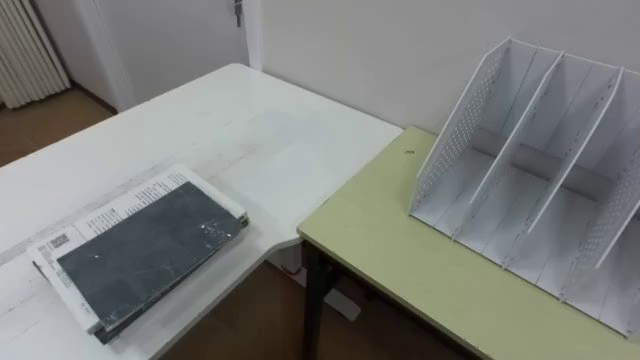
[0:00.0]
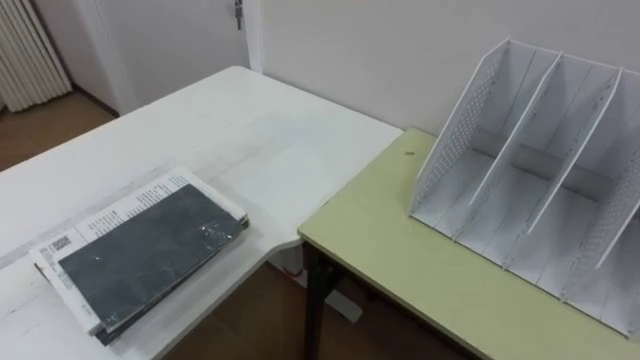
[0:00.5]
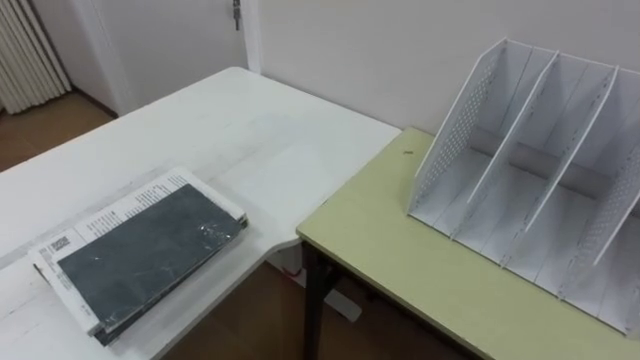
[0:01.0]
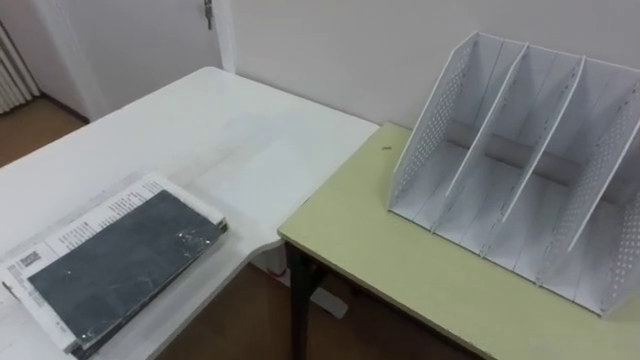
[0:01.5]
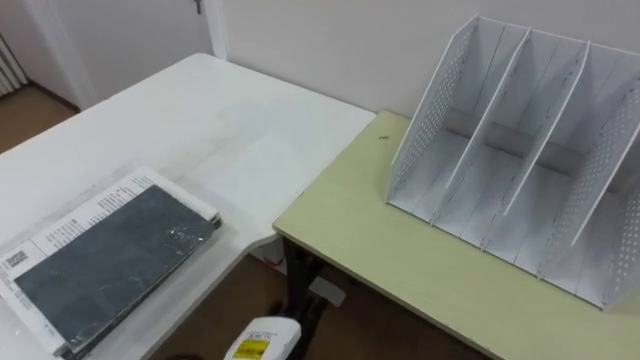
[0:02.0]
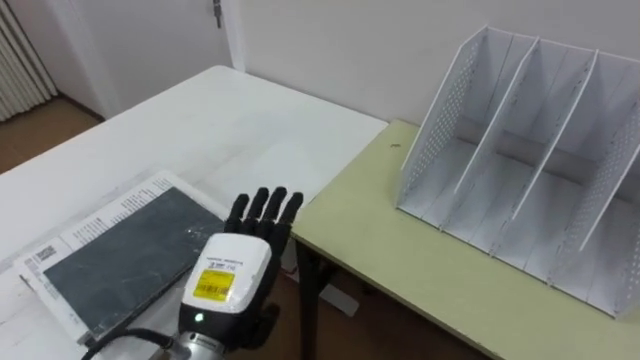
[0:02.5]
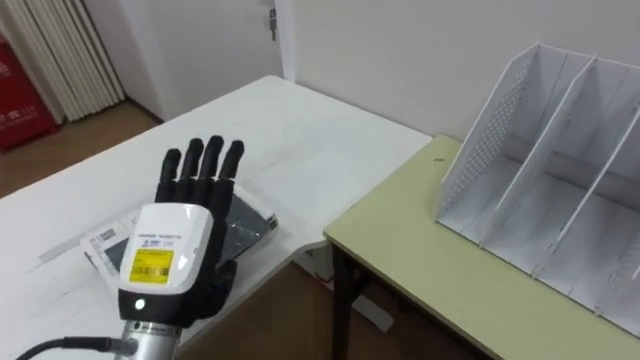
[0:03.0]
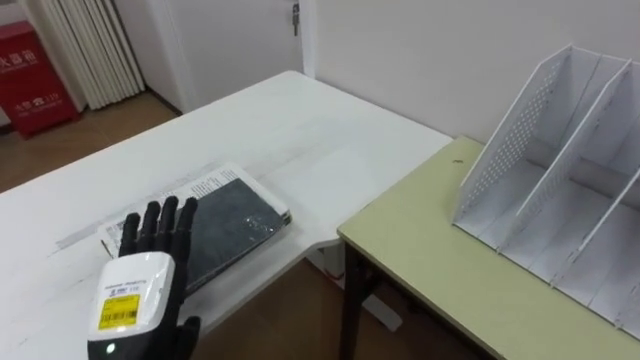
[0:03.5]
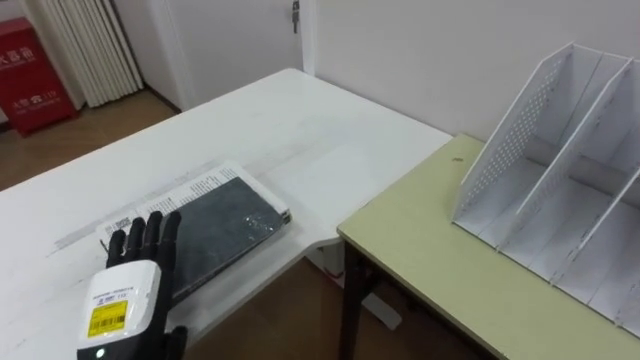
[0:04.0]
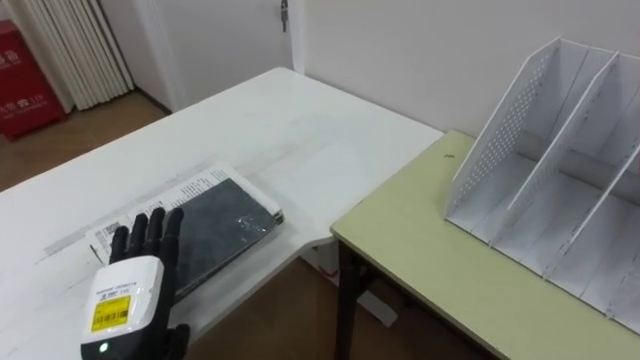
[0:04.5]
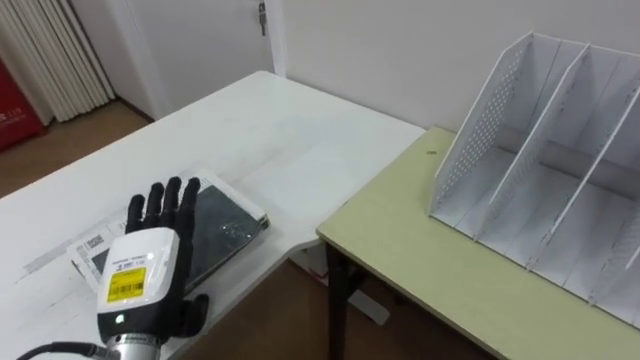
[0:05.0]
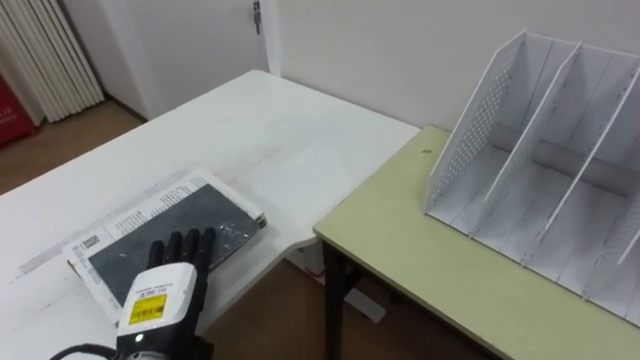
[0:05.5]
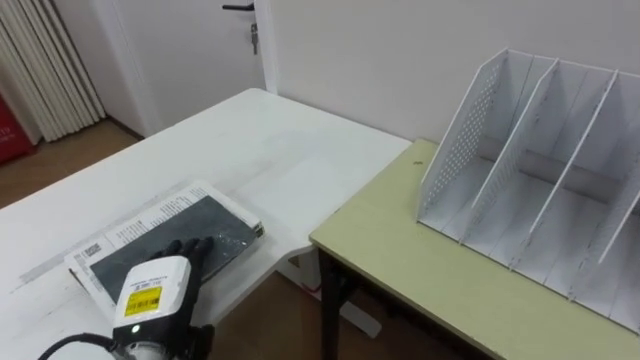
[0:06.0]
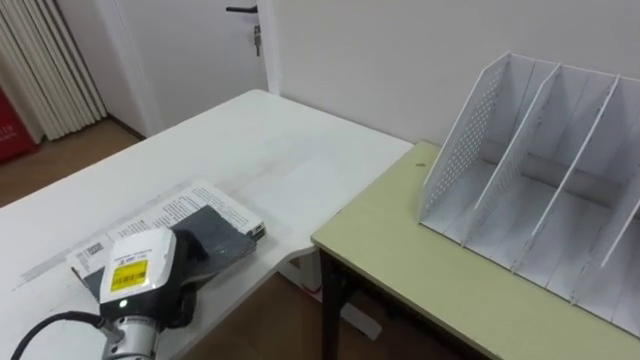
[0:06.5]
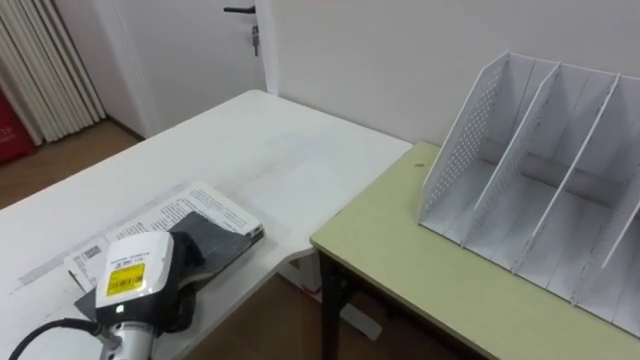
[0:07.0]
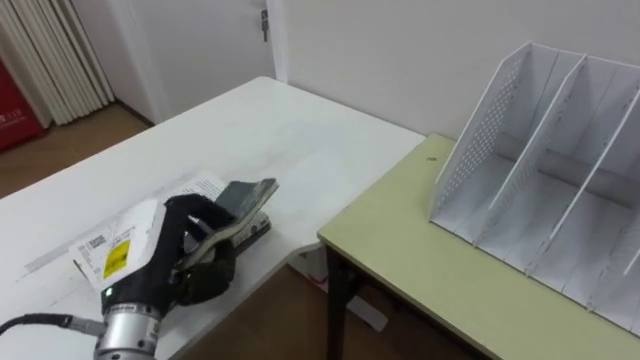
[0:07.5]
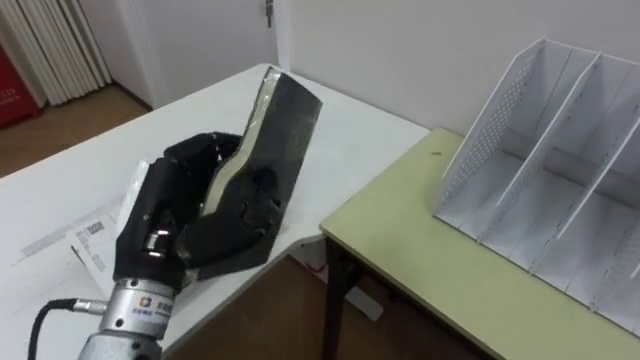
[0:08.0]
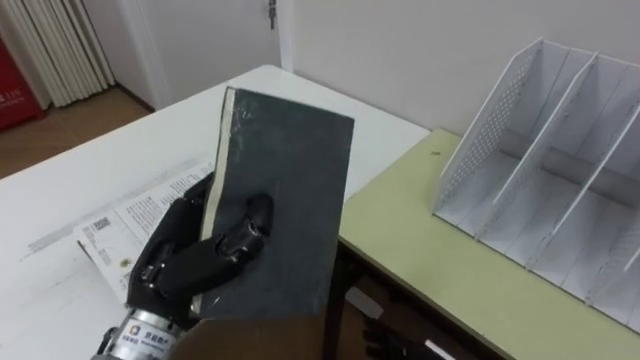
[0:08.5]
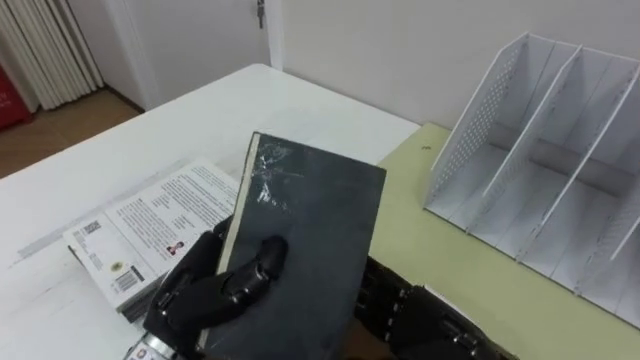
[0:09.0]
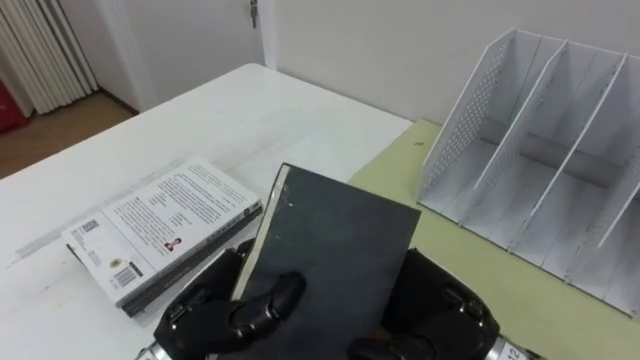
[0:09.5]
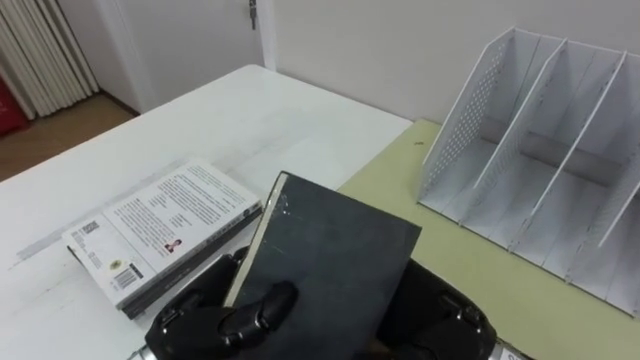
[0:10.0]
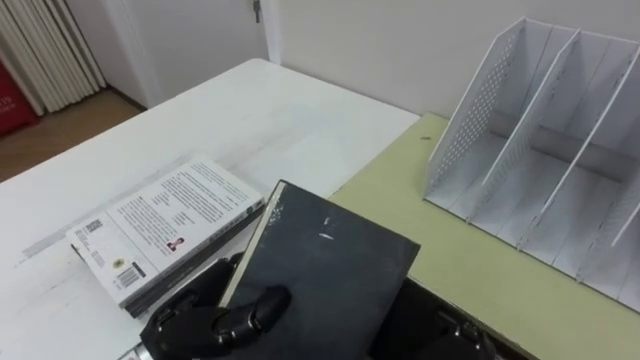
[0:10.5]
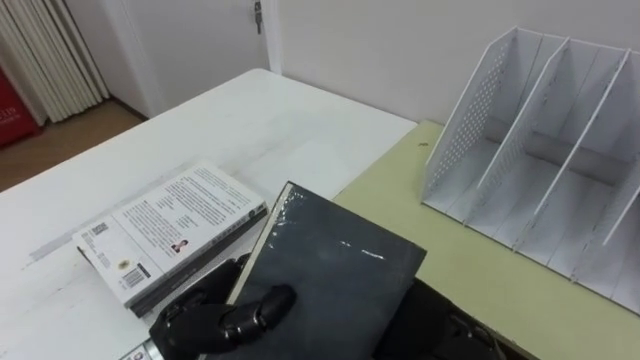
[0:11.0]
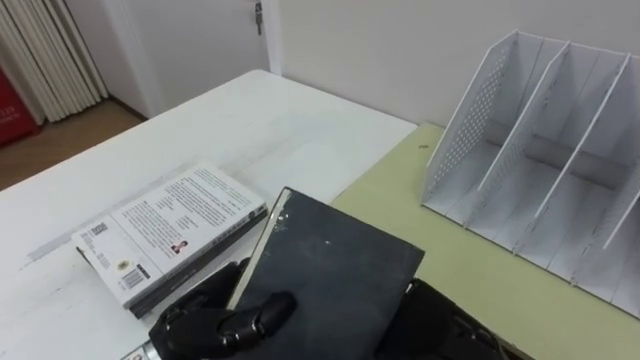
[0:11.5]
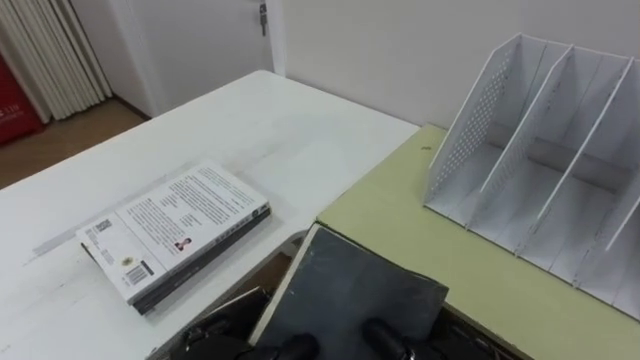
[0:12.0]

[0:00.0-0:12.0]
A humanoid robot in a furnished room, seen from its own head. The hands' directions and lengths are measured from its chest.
Task of the whole recording: Put the books on the table onto the bookshelf.
0:06.0 to 0:08.0: The left hand heads upward, covering about 15 cm, and closes up.
0:08.0 to 0:10.0: The left hand moves downward, roughly 10 cm.
0:10.0 to 0:12.0: The right hand closes up.

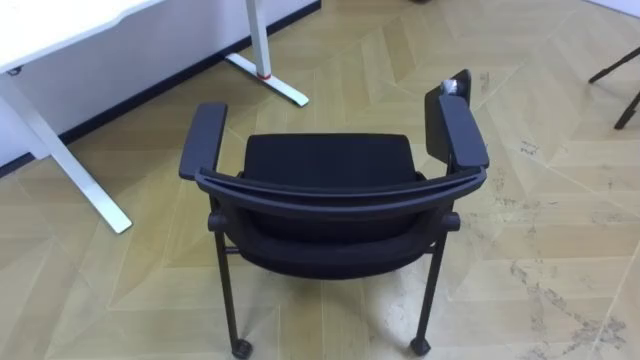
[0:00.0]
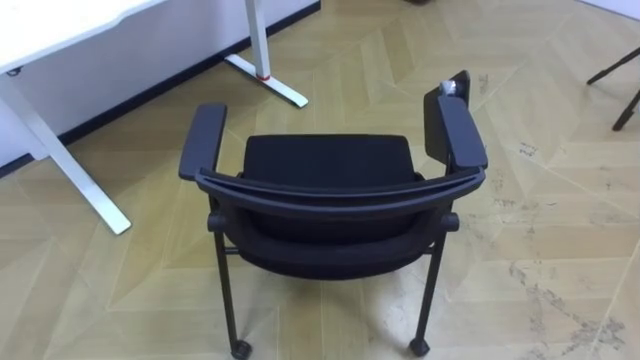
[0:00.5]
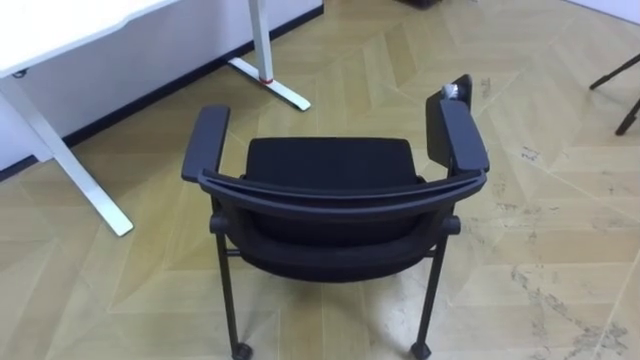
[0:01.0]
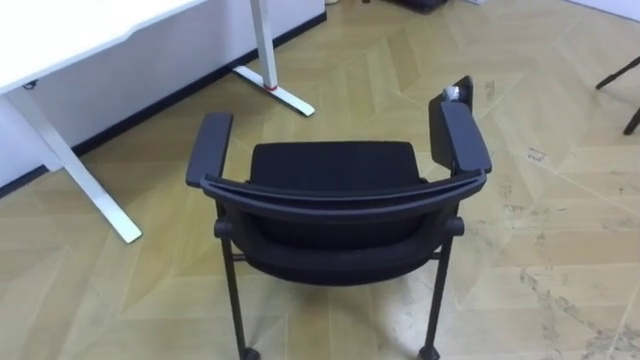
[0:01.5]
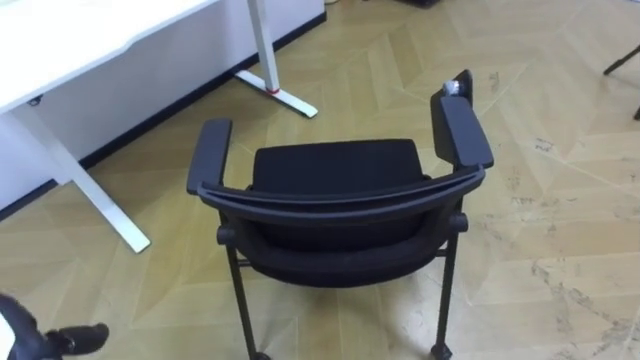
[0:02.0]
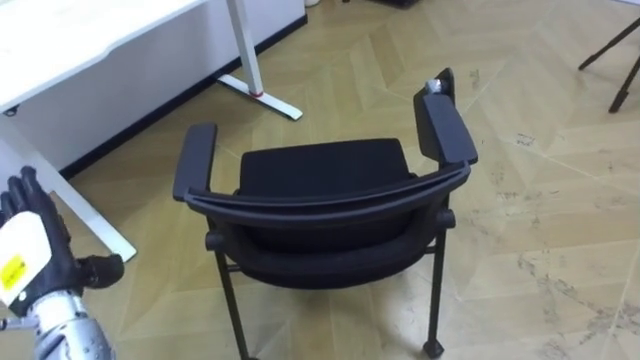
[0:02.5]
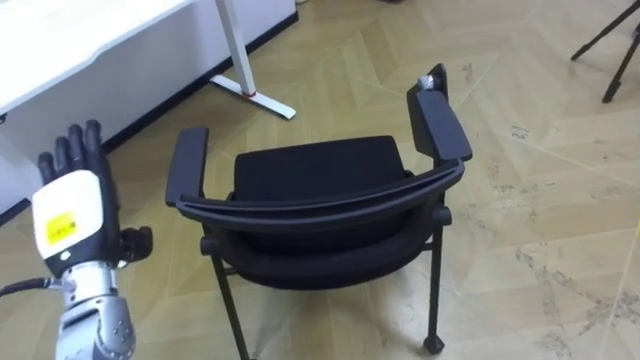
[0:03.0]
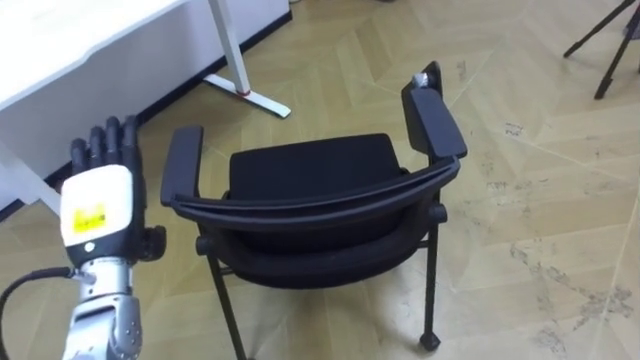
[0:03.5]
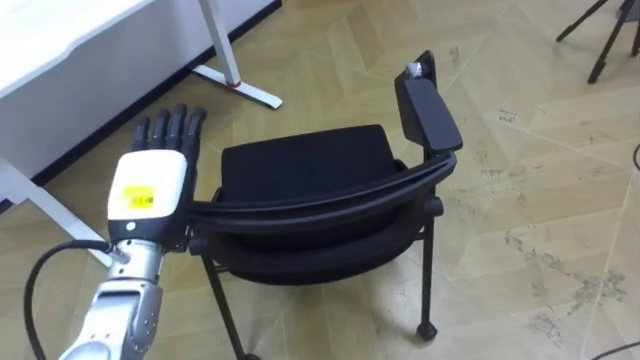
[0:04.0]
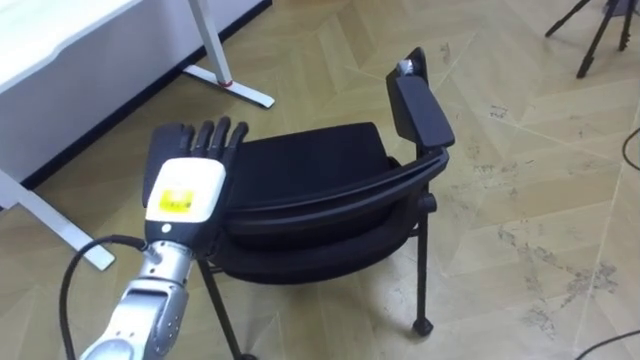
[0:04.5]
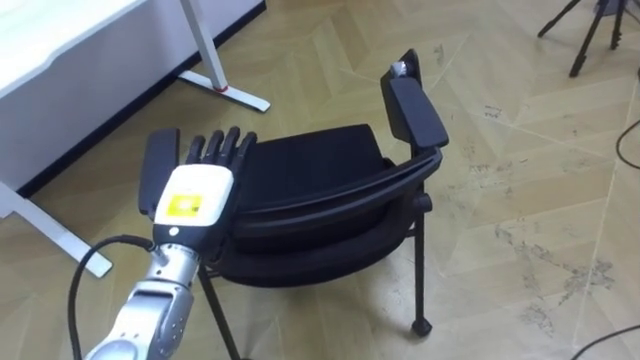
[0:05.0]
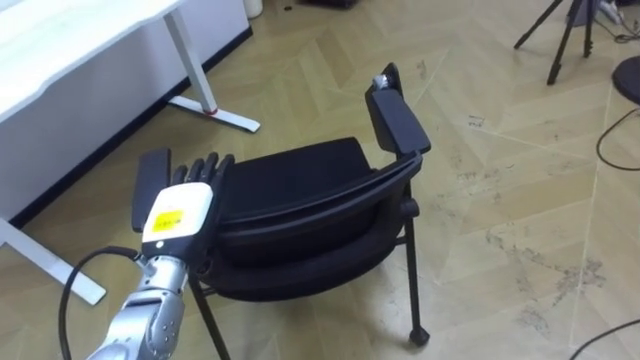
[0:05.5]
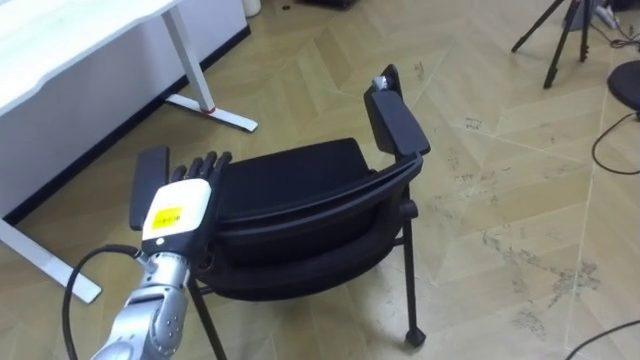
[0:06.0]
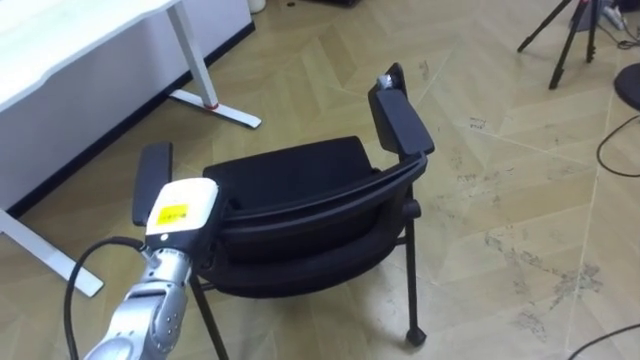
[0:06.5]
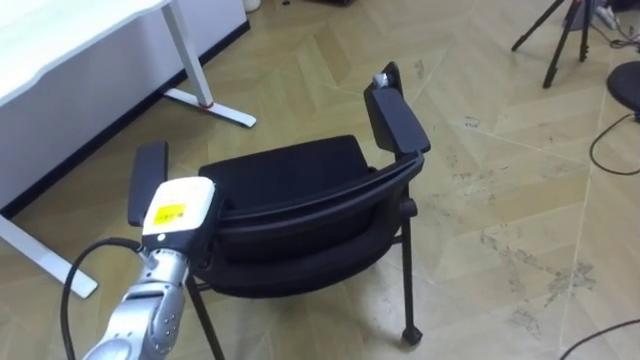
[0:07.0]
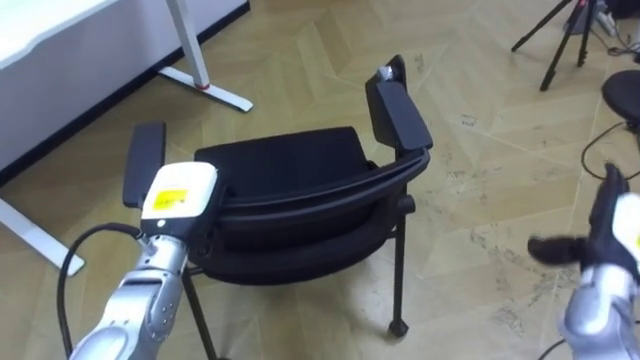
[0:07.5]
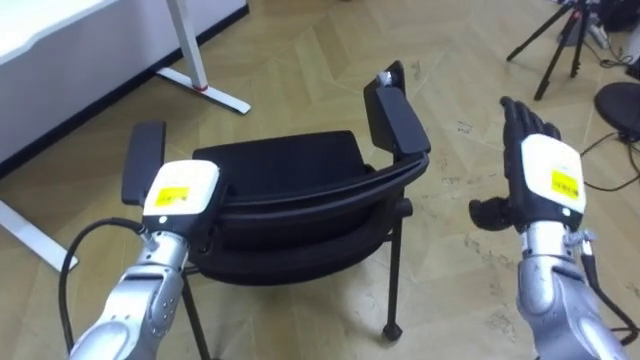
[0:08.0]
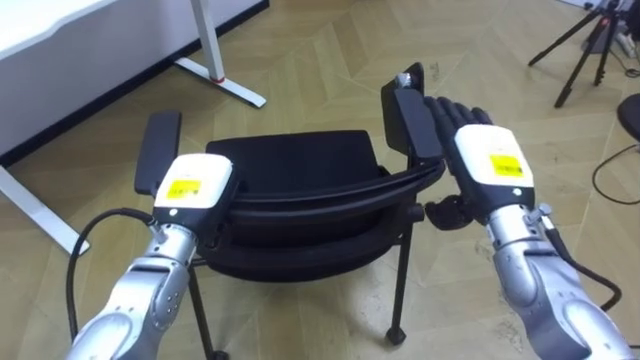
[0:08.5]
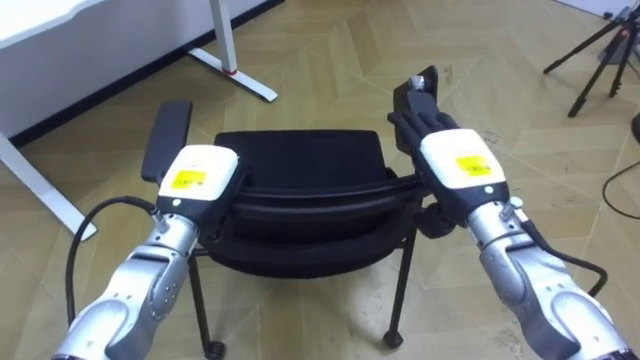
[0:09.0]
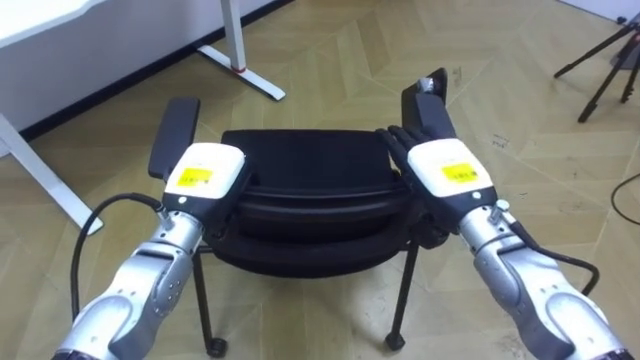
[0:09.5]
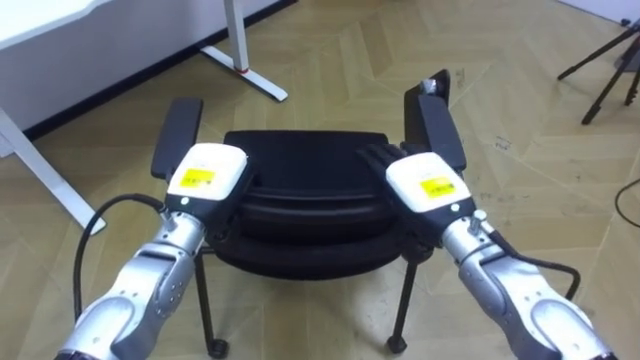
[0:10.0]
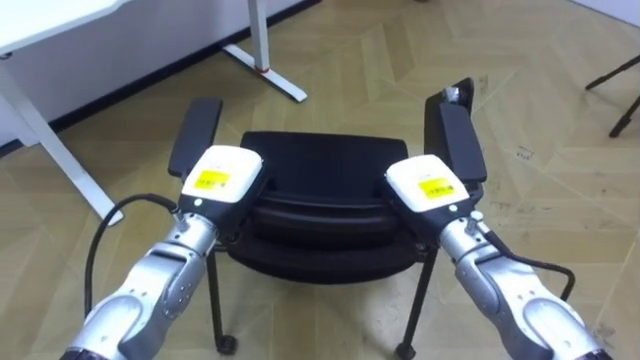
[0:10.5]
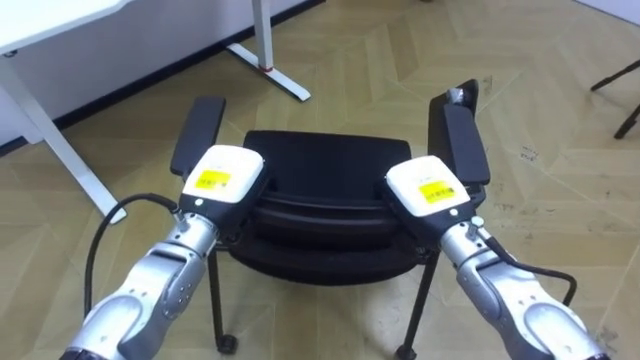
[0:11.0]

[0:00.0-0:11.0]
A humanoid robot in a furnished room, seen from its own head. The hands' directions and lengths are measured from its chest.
Task of the whole recording: Push the chair under the table.
0:02.0 to 0:03.5: The left hand is displaced forward, upward and to the right by some 20 cm.
0:03.5 to 0:05.5: The left hand shifts roughly 10 cm to the right.
0:05.5 to 0:07.5: The left hand closes.
0:07.5 to 0:09.0: The right hand travels to the left by approximately 20 cm.
0:09.0 to 0:11.0: The right hand changes place by approximately 5 cm, and closes.
